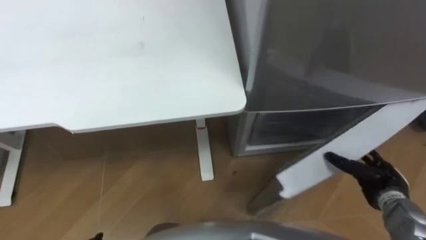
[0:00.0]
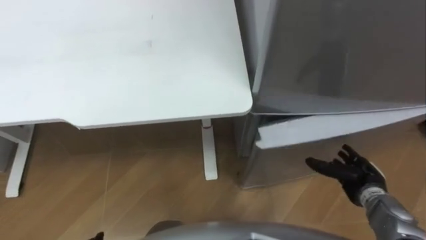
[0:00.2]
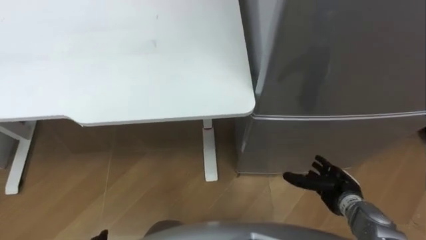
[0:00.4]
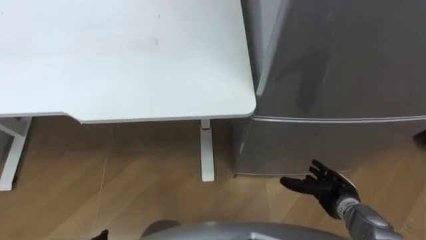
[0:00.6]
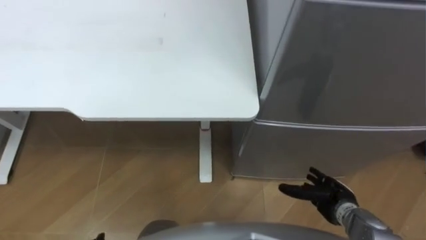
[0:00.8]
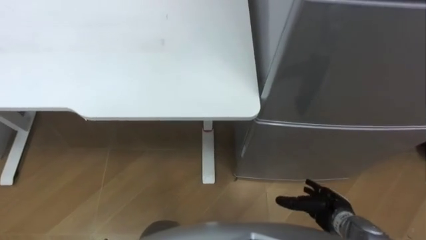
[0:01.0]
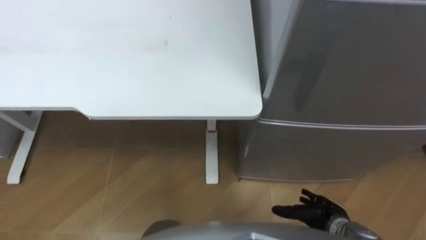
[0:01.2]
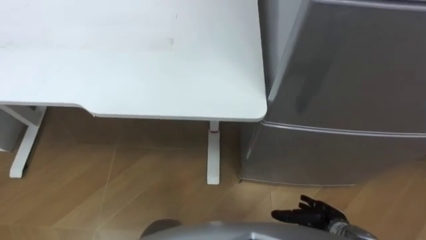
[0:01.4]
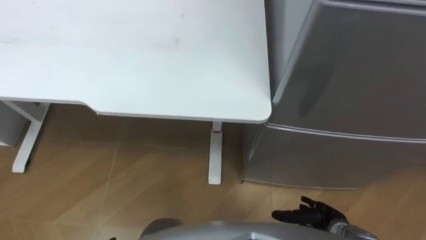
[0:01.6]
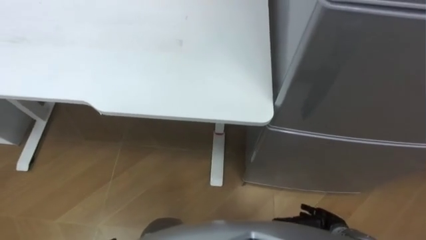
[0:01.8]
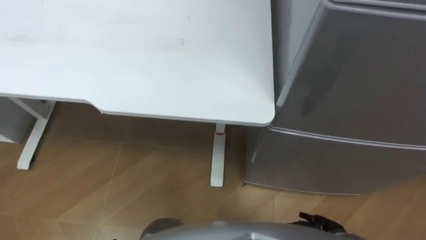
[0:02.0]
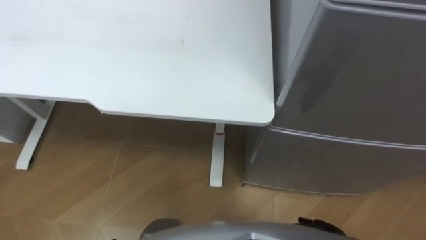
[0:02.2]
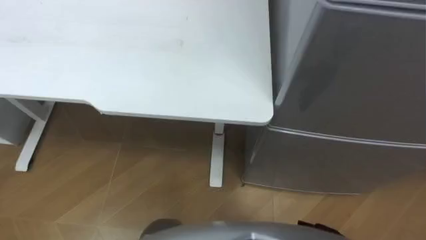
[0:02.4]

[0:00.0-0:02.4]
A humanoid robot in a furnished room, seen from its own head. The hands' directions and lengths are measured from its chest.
Task of the whole recording: Place the drink on the table on the bottom shelf of the refrigerator, then close the drawer and the refrigerator door.
0:00.0 to 0:01.2: The right hand is displaced to the left, downward and backward by about 15 cm.

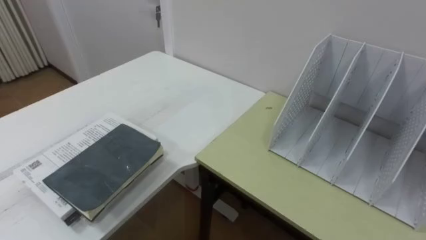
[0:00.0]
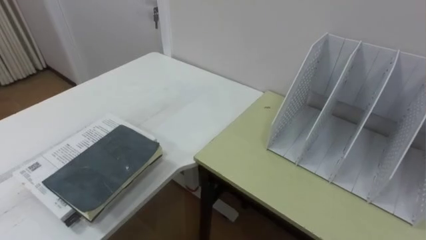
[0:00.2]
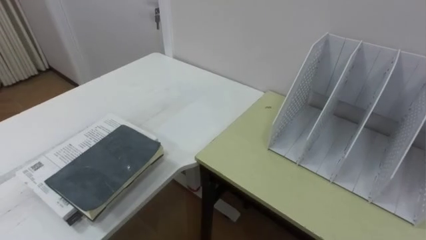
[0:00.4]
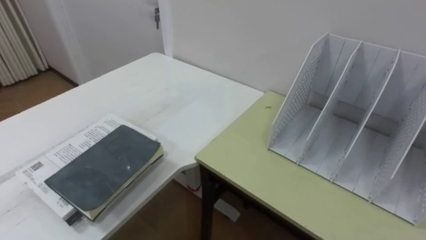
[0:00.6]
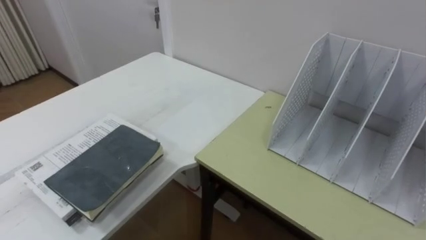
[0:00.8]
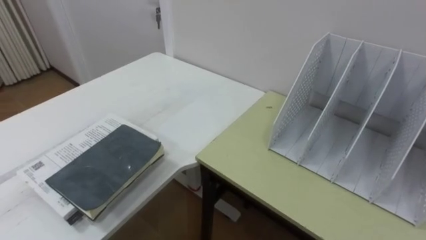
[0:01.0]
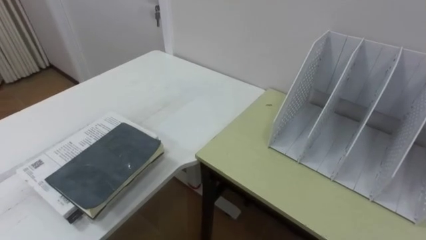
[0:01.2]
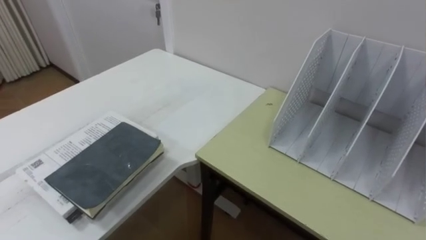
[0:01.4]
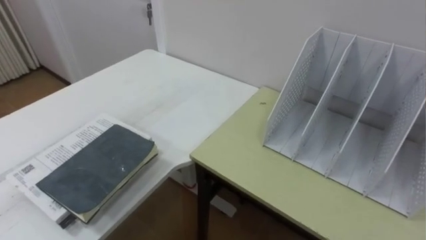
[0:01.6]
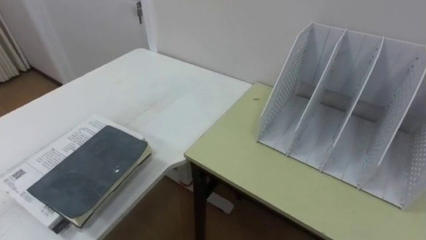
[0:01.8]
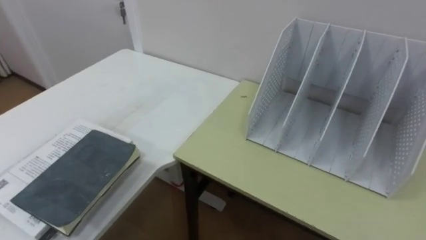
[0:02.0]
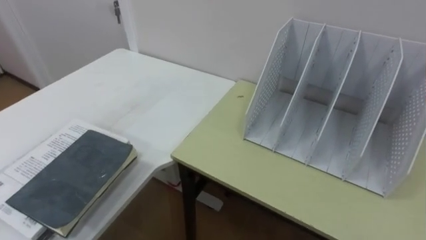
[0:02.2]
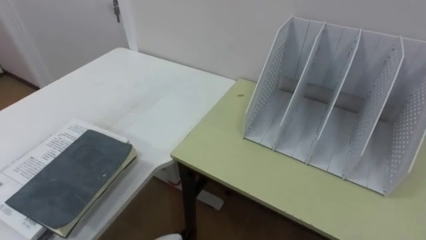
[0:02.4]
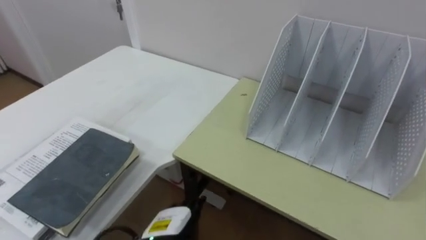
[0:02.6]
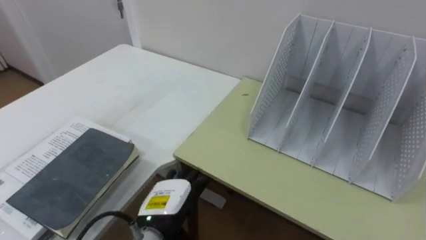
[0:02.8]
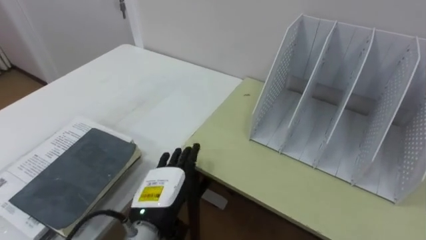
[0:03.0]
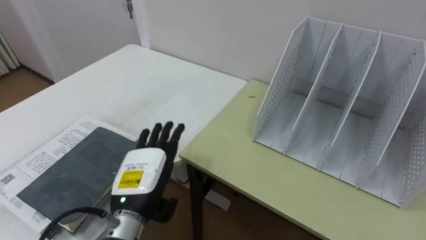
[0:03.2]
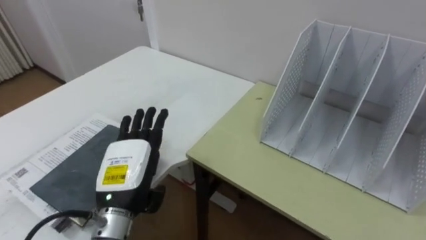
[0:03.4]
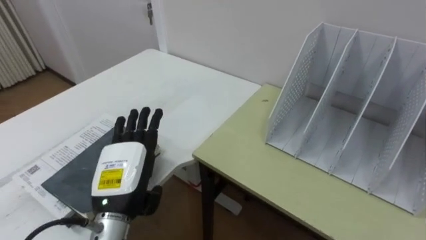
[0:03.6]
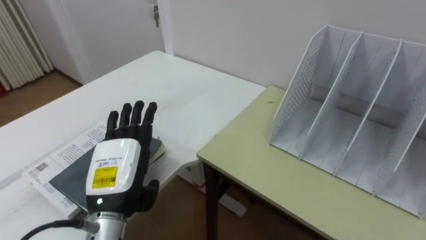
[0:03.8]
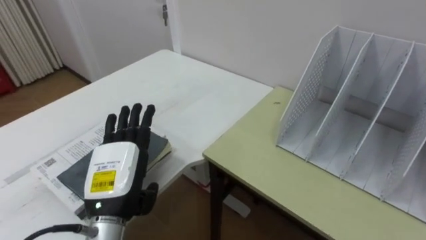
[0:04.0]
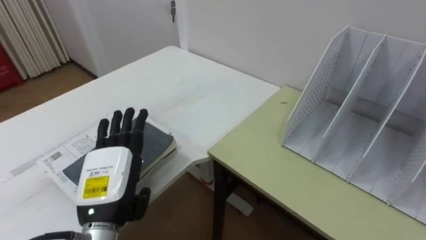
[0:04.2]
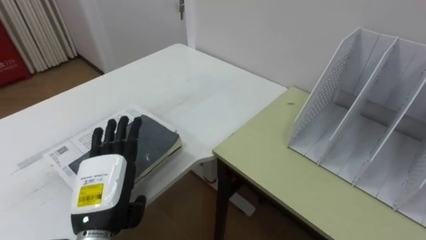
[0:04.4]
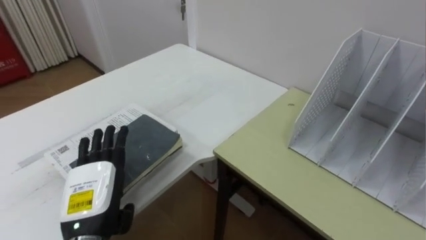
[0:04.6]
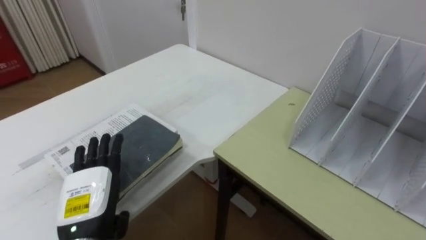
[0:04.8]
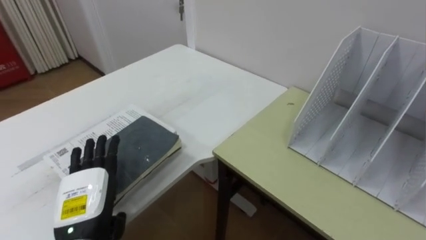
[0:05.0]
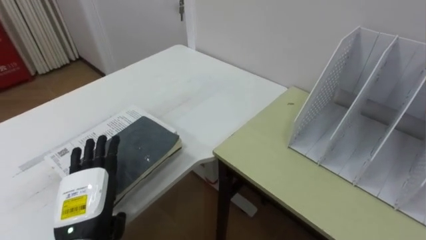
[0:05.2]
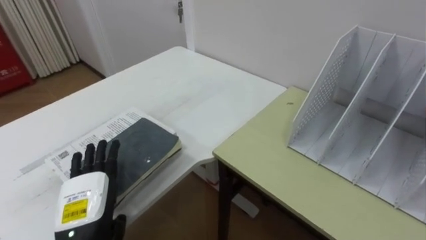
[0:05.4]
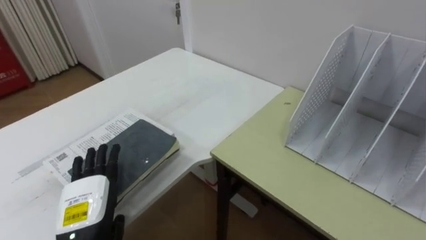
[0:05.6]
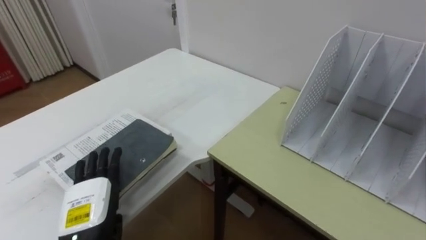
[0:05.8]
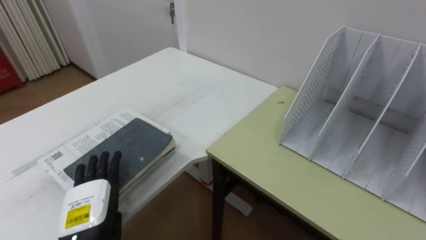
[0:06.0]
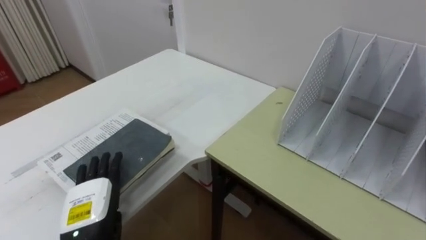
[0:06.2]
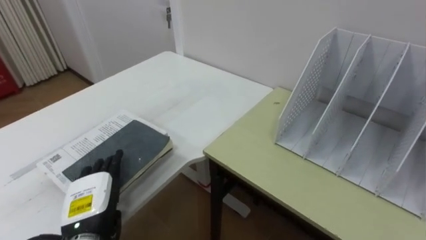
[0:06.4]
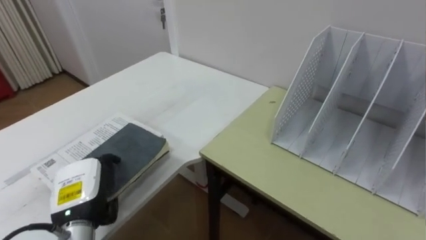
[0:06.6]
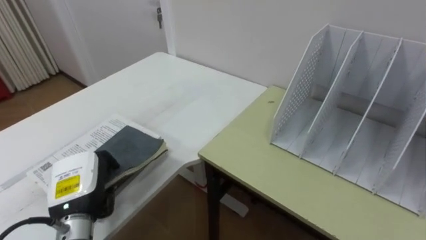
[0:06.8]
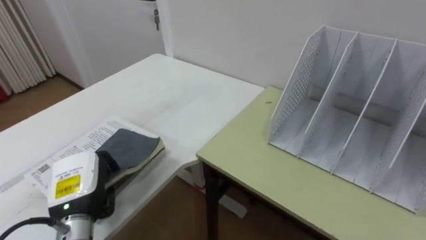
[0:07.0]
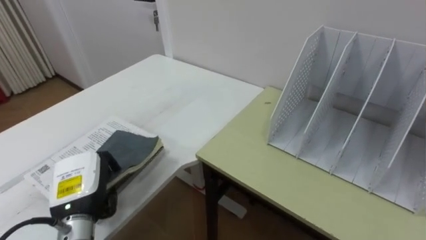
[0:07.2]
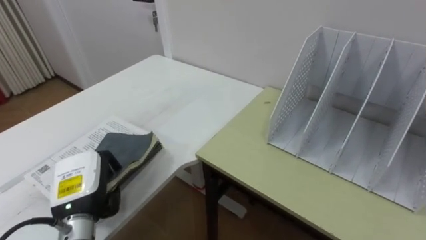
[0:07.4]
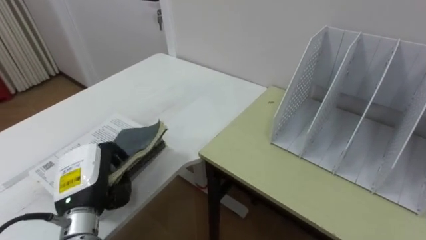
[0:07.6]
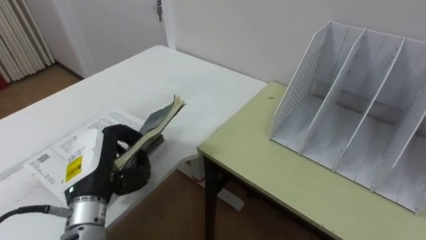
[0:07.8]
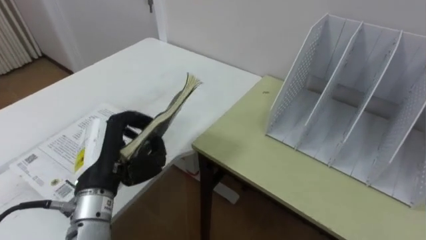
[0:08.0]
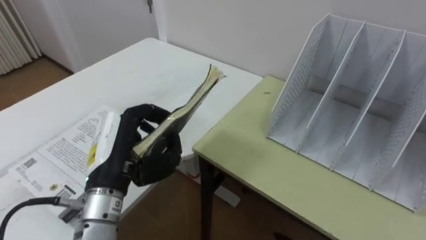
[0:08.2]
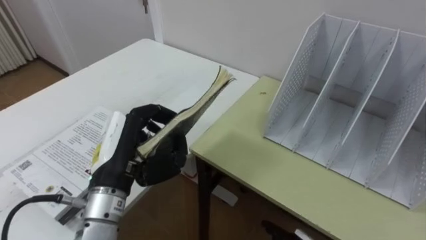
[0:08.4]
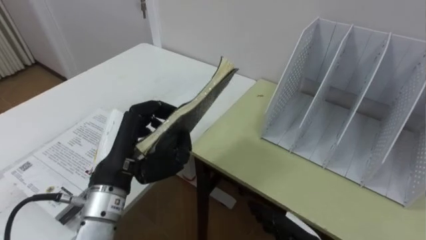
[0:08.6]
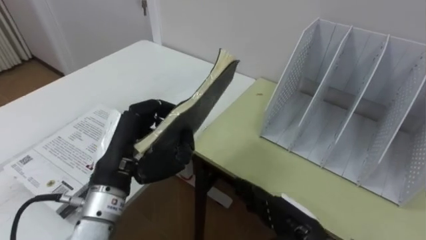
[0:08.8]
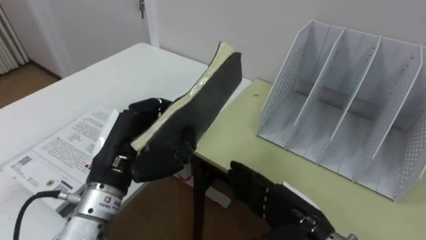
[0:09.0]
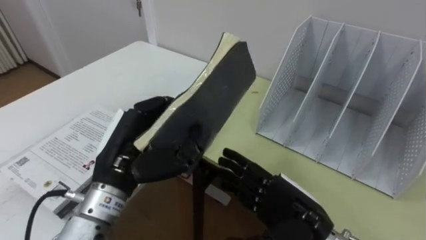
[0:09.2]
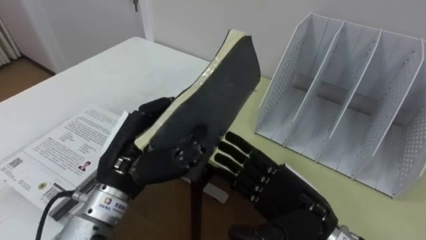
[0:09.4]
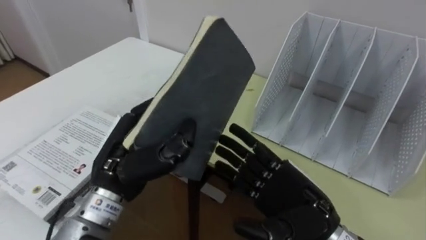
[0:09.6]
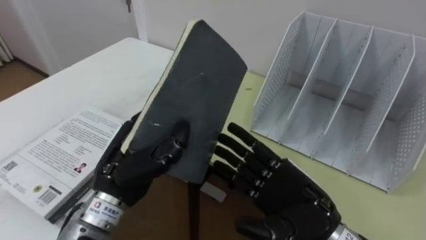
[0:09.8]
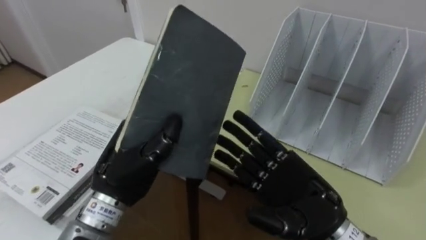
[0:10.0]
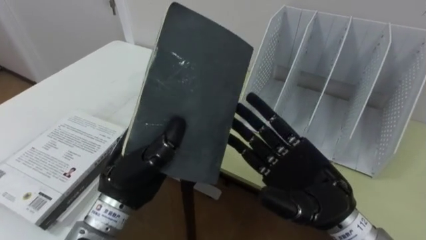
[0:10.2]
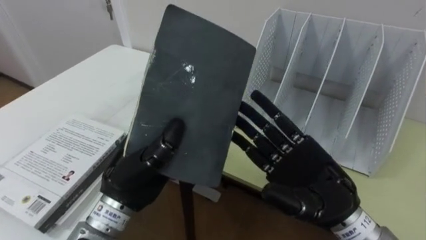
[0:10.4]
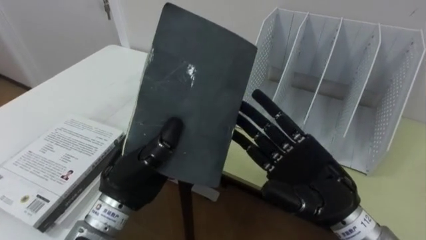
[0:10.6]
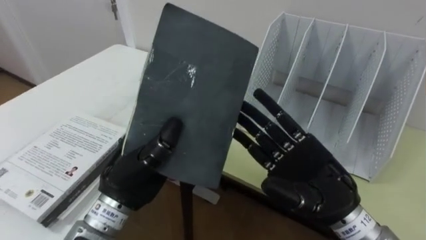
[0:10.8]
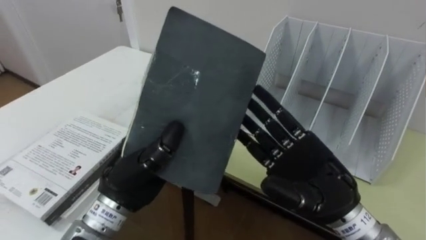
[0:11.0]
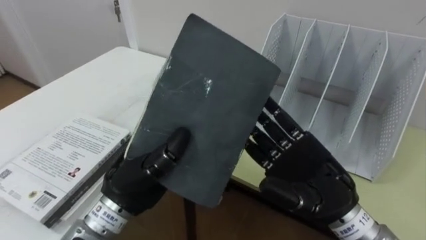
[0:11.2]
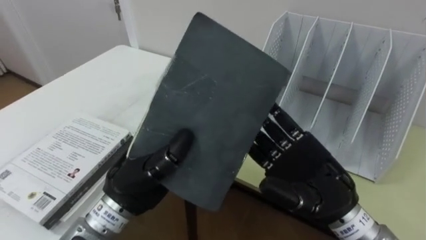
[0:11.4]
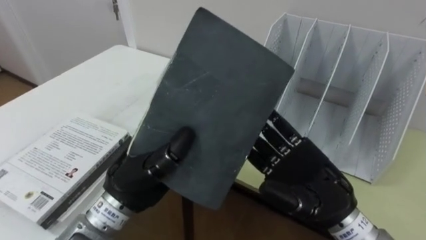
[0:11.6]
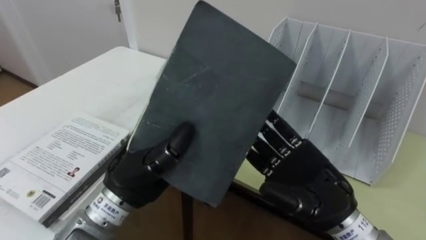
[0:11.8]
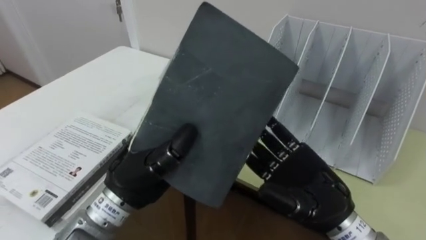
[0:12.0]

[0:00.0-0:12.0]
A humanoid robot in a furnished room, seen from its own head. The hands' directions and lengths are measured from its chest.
Task of the whole recording: Put the books on the table onto the bookshelf.
0:03.0 to 0:04.4: The left hand goes about 10 cm to the left and upward.
0:04.4 to 0:06.0: The left hand moves downward, roughly 5 cm.
0:06.0 to 0:07.6: The left hand shifts by approximately 5 cm, and closes up.
0:07.6 to 0:09.0: The left hand shifts approximately 10 cm upward and to the right.
0:09.0 to 0:10.4: The right hand travels upward by about 10 cm.

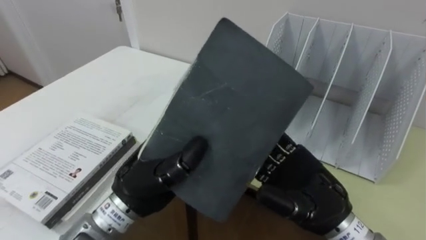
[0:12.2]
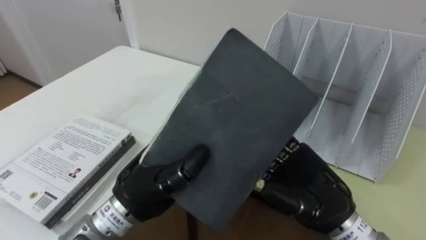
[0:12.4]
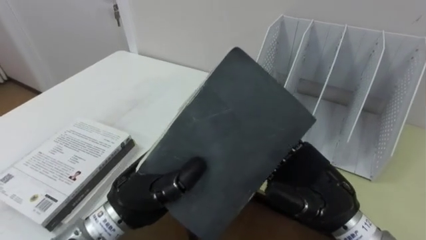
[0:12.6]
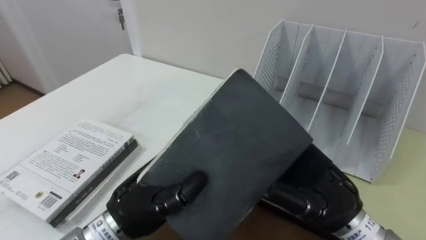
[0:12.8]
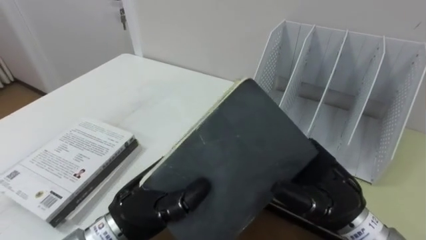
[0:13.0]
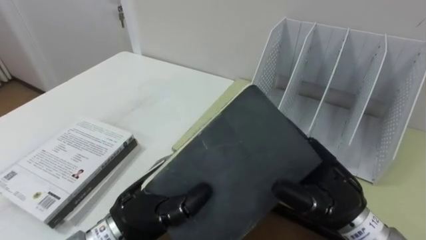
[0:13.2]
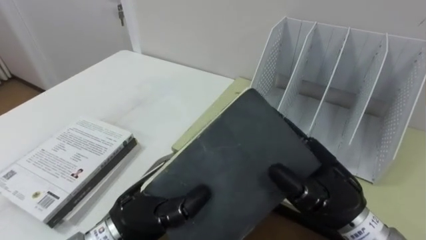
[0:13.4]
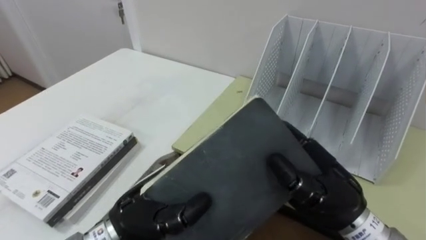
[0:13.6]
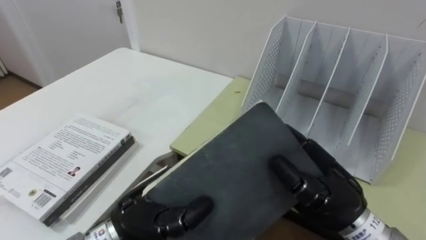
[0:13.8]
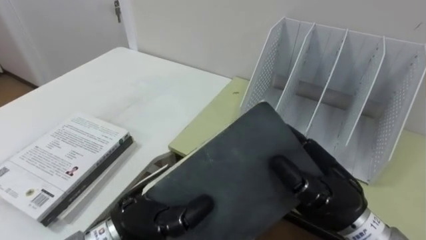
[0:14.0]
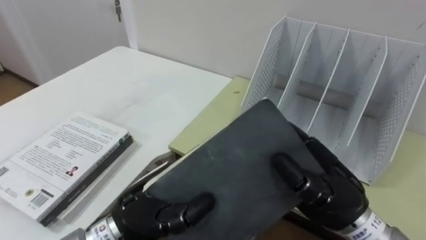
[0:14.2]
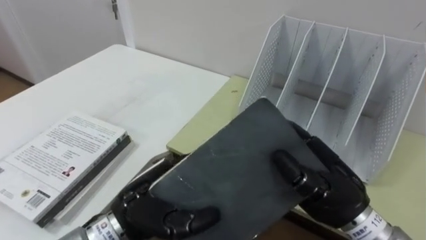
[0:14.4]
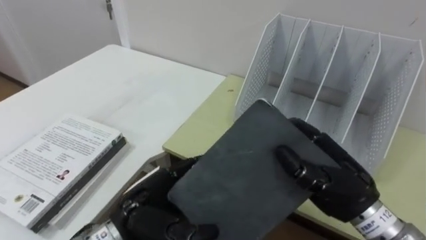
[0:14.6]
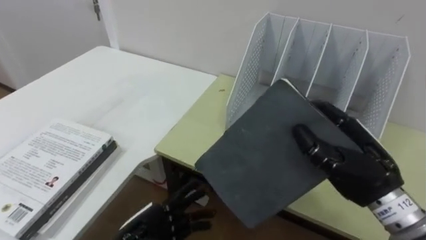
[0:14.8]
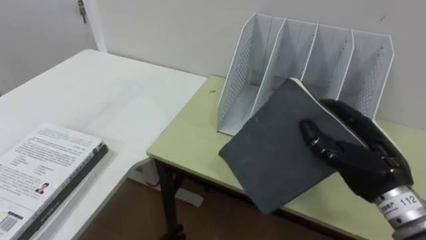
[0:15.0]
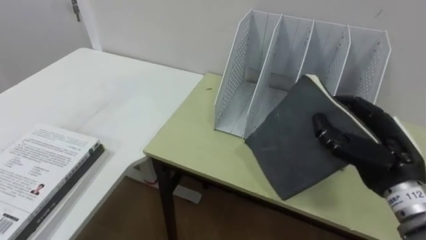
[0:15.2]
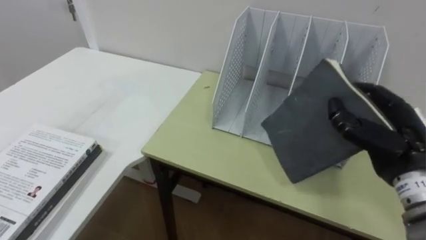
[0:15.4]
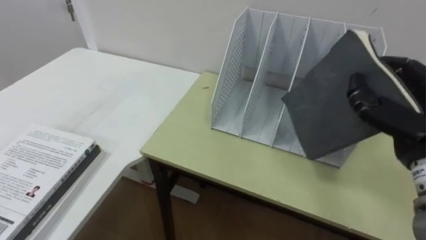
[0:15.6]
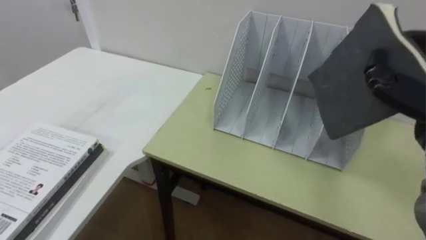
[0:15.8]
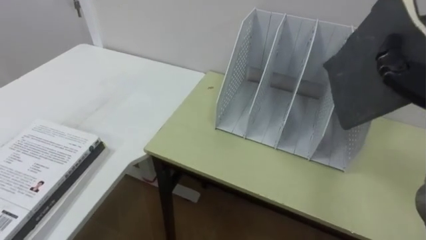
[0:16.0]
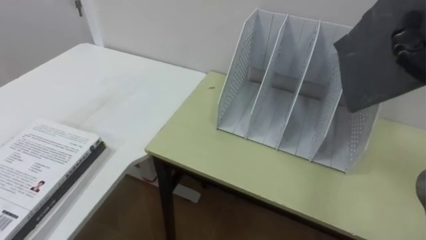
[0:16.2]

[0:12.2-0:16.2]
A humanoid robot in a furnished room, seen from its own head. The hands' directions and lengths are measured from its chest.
Task of the whole recording: Put the books on the table onto the bookshelf.
0:12.2 to 0:13.6: The left hand shifts by some 5 cm; the right hand closes its fingers.
0:13.6 to 0:14.8: The left hand travels downward by some 5 cm, and opens up, while the right hand is displaced to the right by roughly 5 cm.
